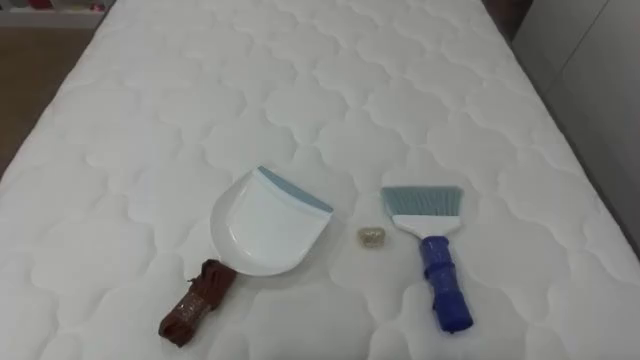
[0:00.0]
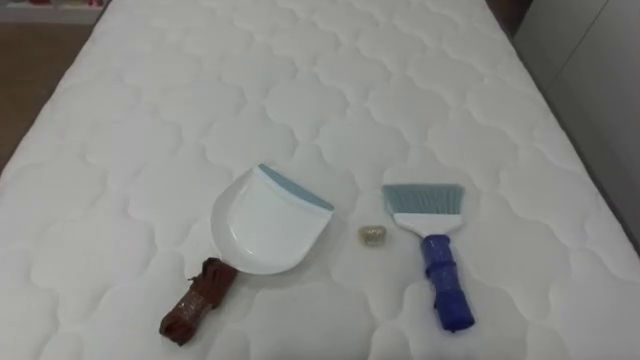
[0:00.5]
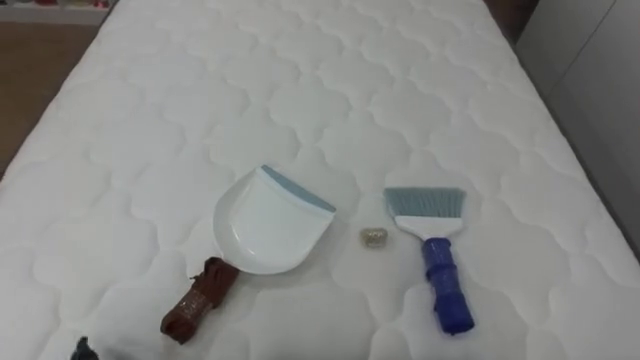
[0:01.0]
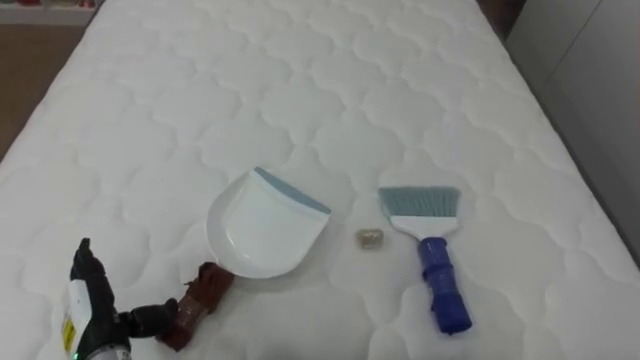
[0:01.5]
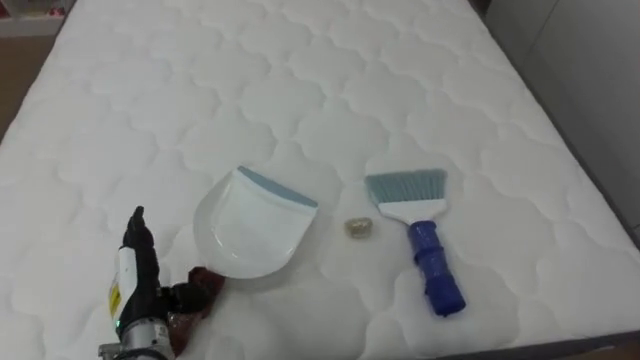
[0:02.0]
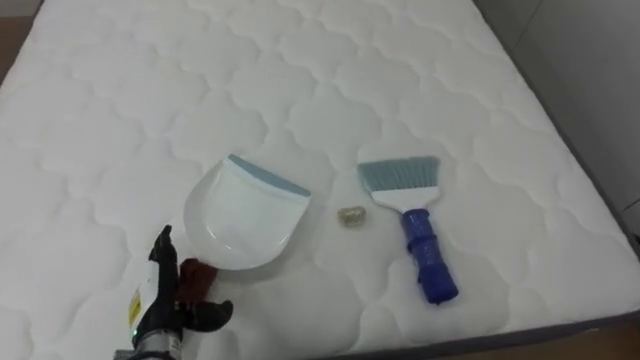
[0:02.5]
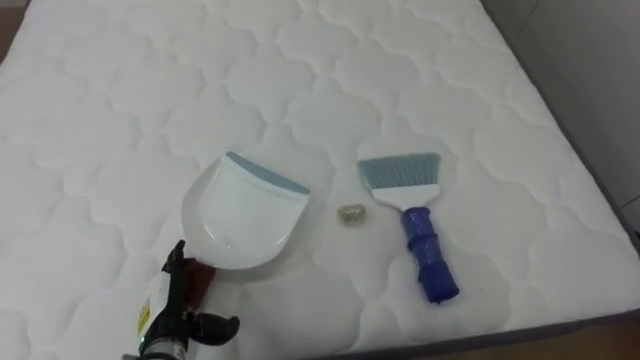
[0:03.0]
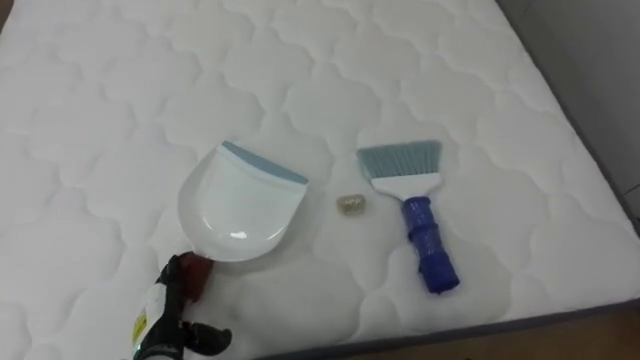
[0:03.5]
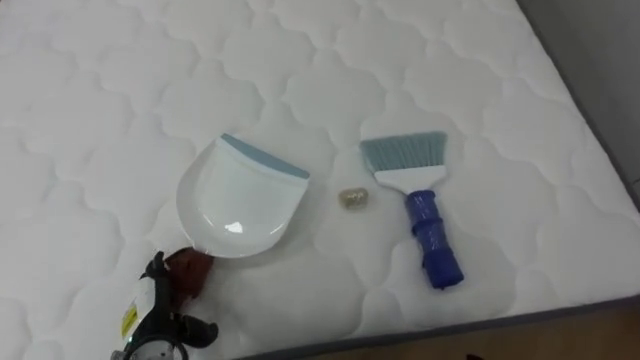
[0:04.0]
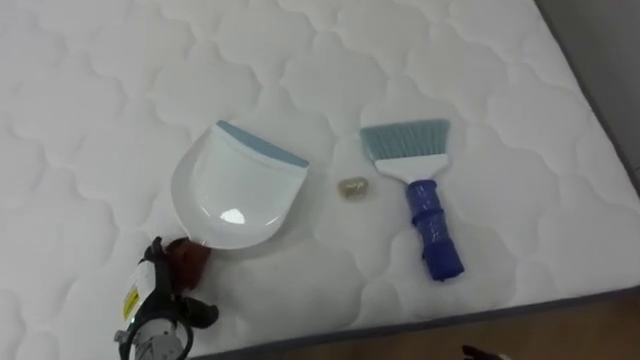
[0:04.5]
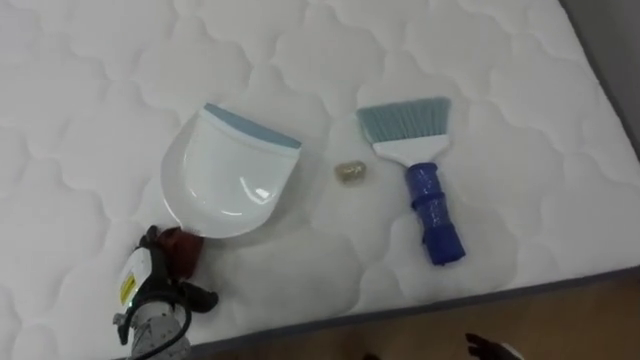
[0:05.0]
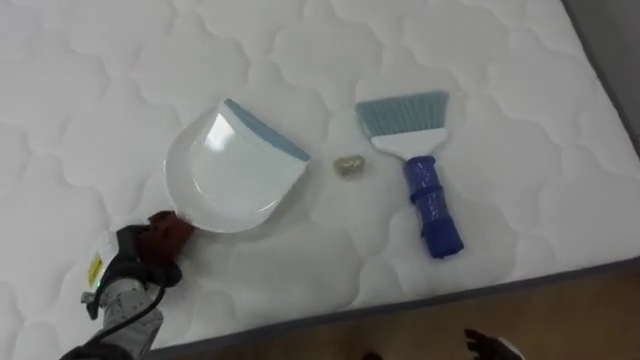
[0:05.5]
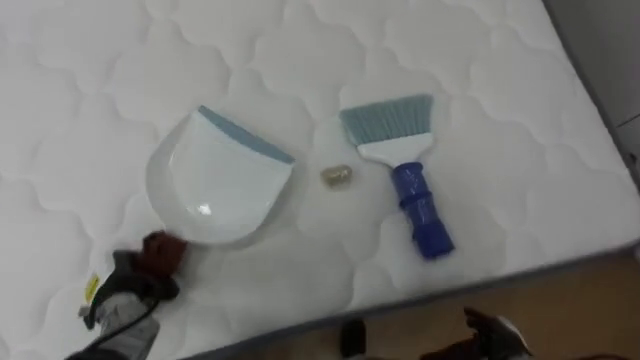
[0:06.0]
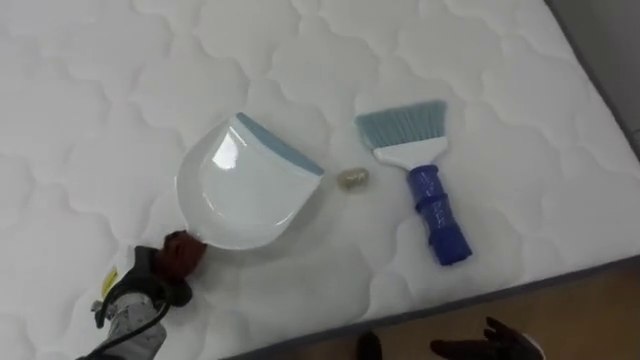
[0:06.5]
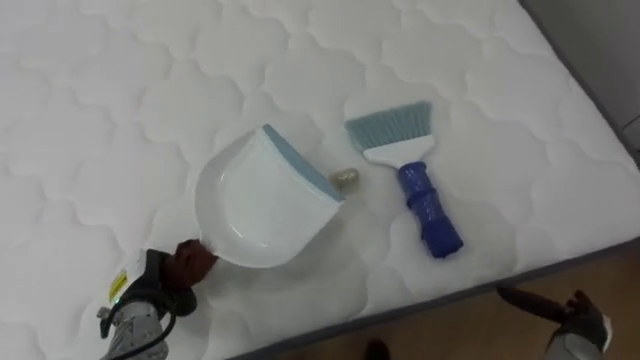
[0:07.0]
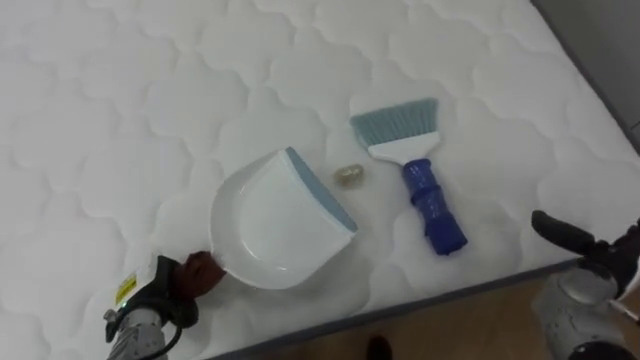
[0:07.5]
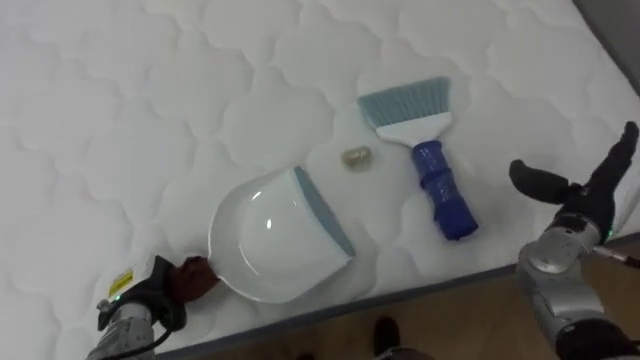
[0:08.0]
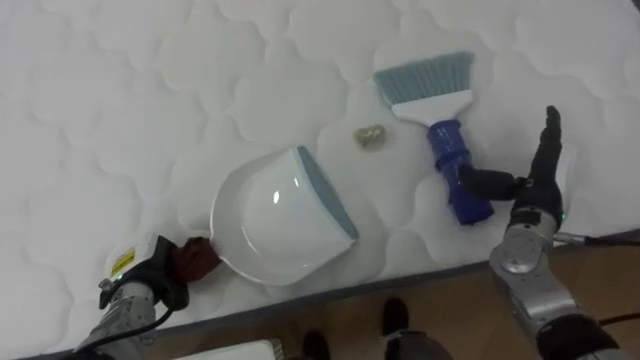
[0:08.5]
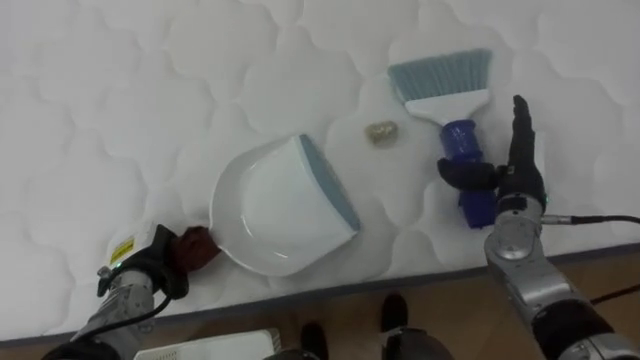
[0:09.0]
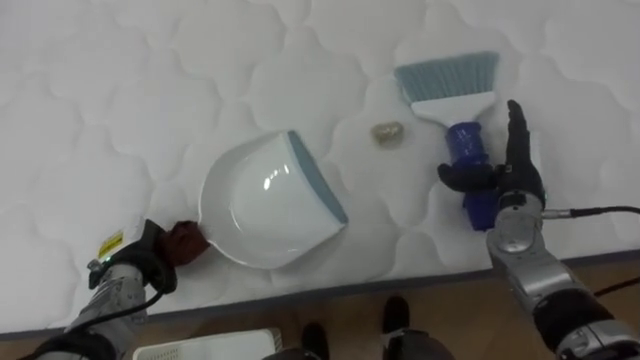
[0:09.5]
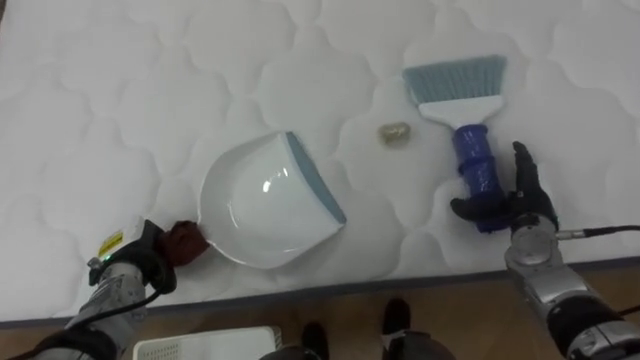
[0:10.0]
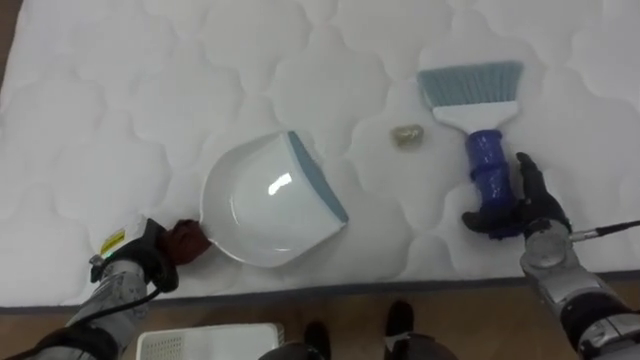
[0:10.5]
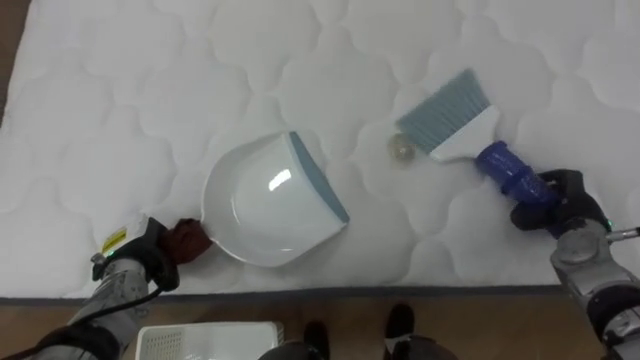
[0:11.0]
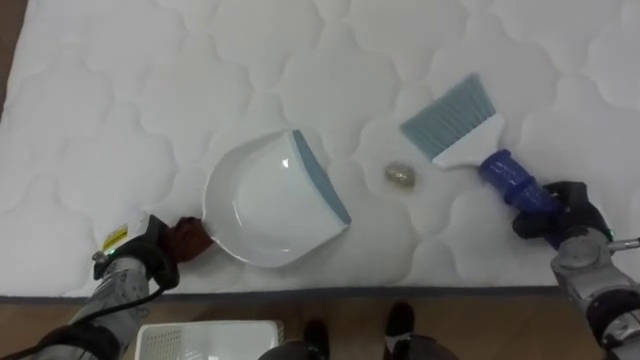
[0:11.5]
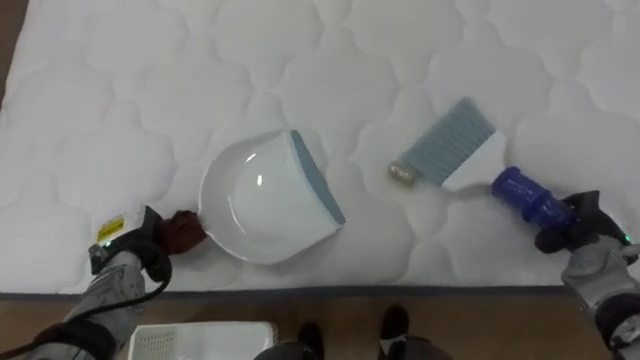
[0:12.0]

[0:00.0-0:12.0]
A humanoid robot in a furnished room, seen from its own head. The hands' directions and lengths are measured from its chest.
Task of the whole recording: Pick up the brush on your right and the dustpan on your left. Use the brush to sweep the crumpled paper on the bed into the dustpan, then turn left and empty it into the basket.
0:02.0 to 0:04.0: The left hand moves downward, about 5 cm.
0:04.0 to 0:06.0: The left hand changes place by roughly 5 cm, and closes its fingers.
0:08.0 to 0:10.0: The right hand shifts some 5 cm to the left. The left hand moves roughly 5 cm.
0:10.0 to 0:12.0: The right hand moves to the right, about 10 cm, and closes.

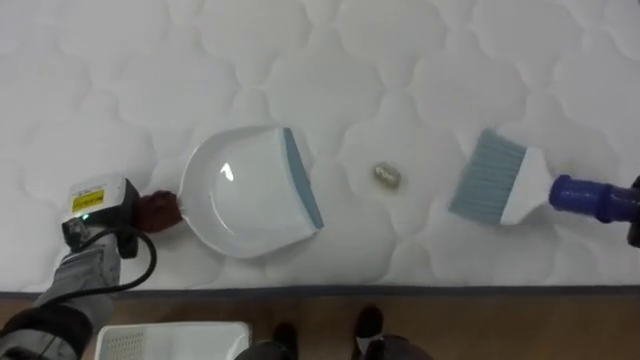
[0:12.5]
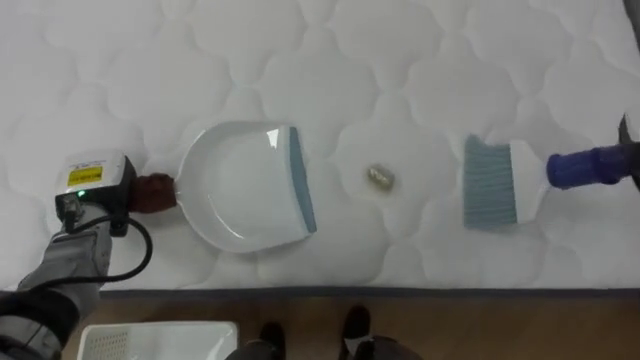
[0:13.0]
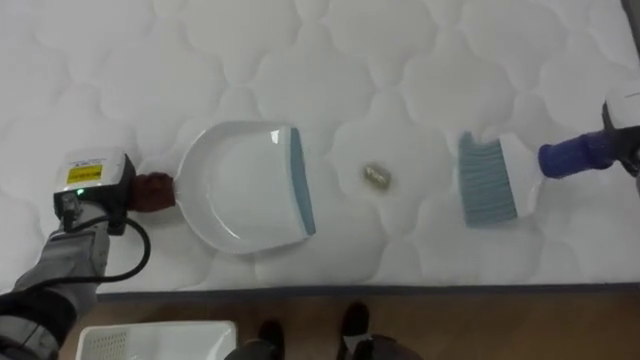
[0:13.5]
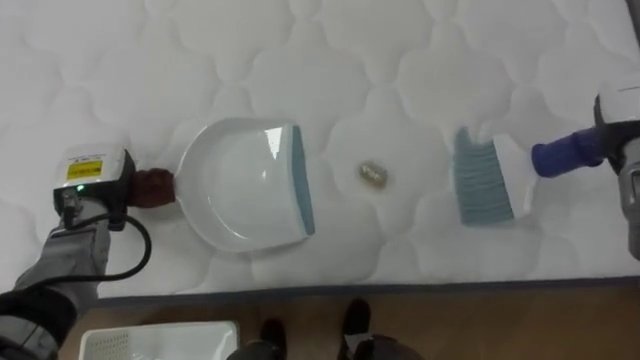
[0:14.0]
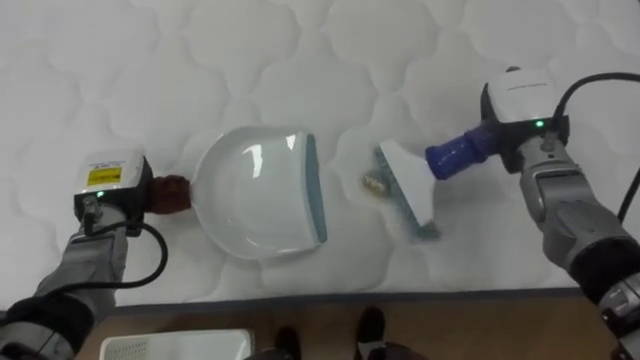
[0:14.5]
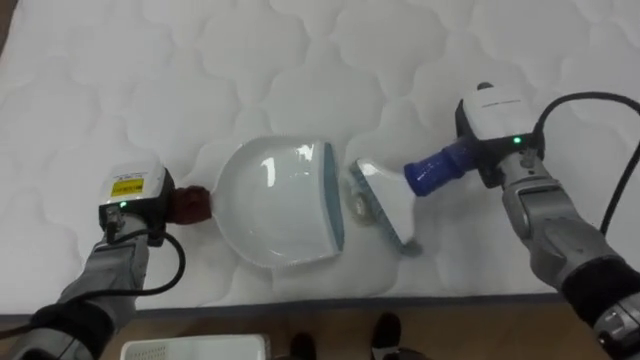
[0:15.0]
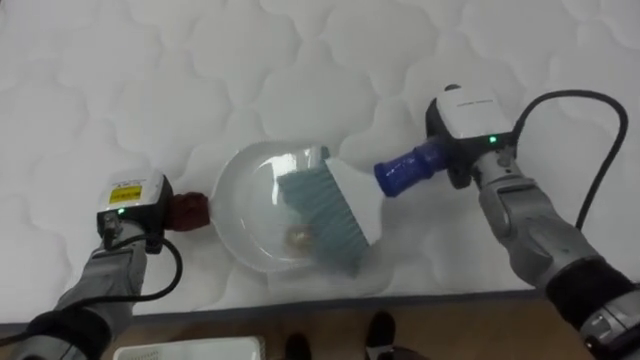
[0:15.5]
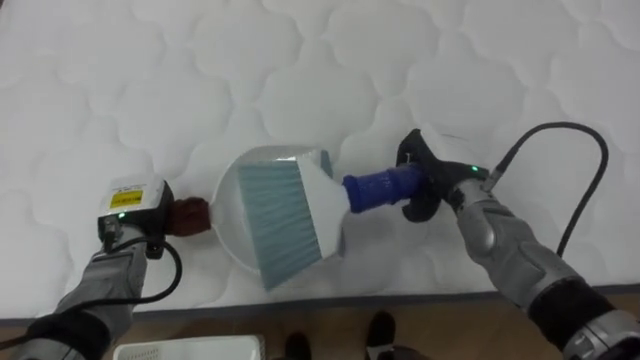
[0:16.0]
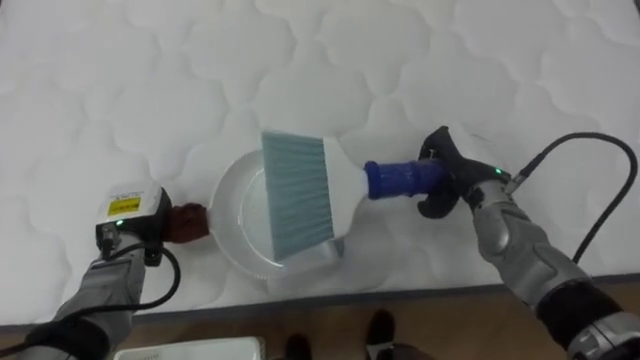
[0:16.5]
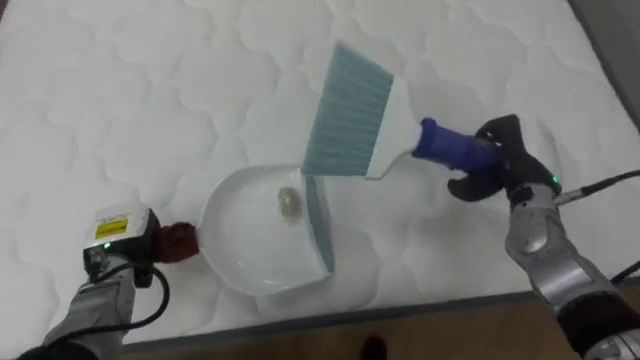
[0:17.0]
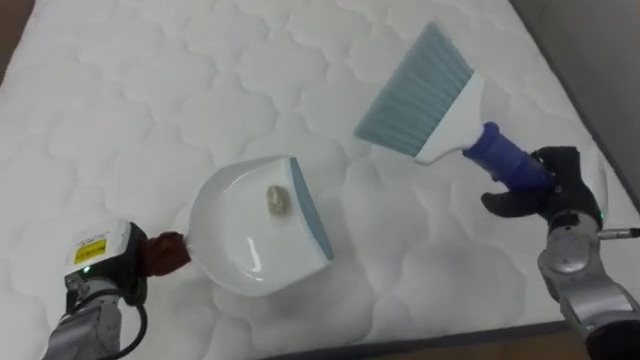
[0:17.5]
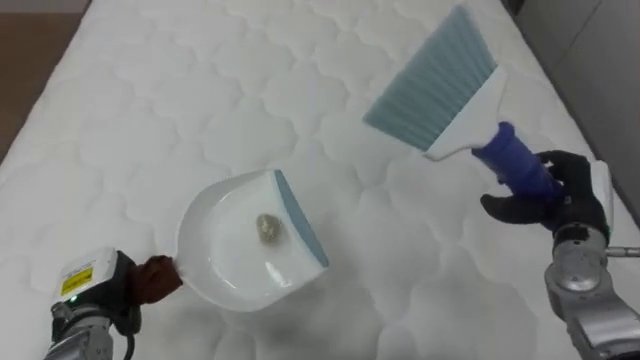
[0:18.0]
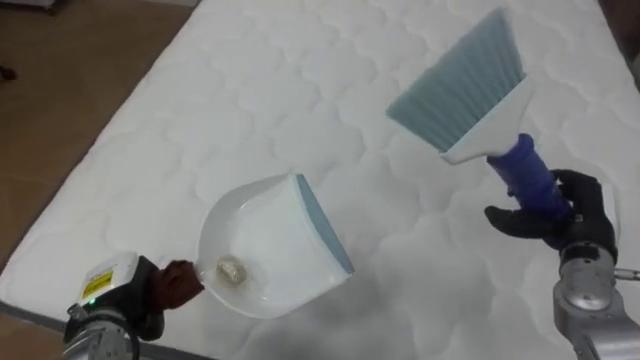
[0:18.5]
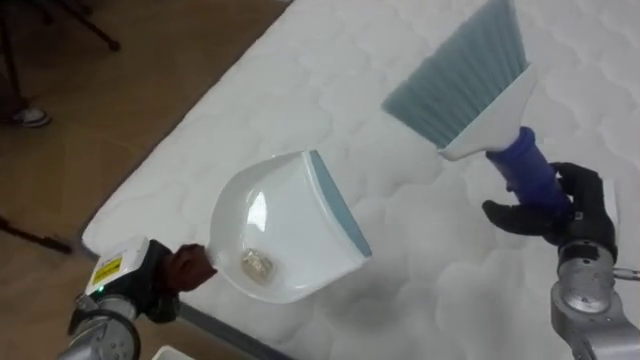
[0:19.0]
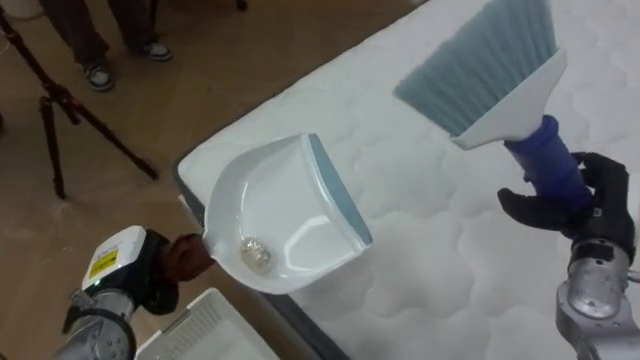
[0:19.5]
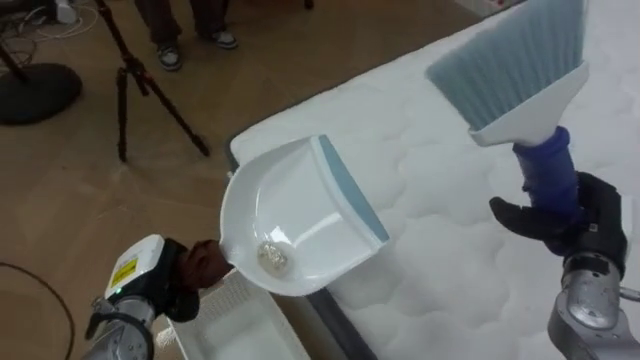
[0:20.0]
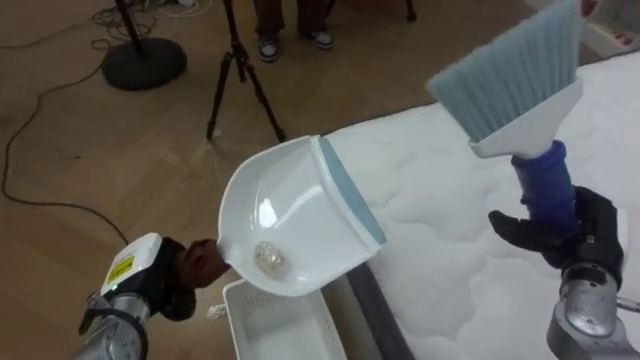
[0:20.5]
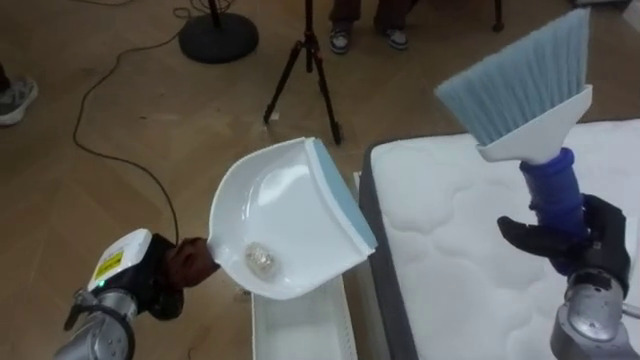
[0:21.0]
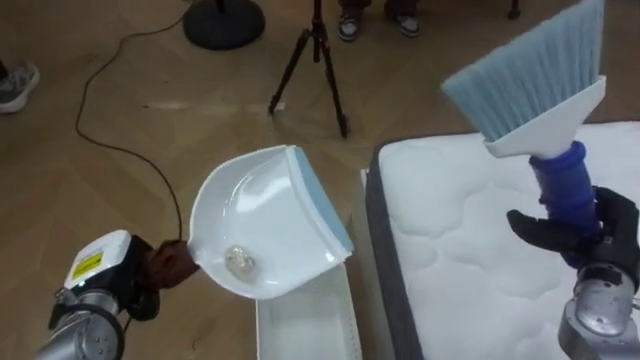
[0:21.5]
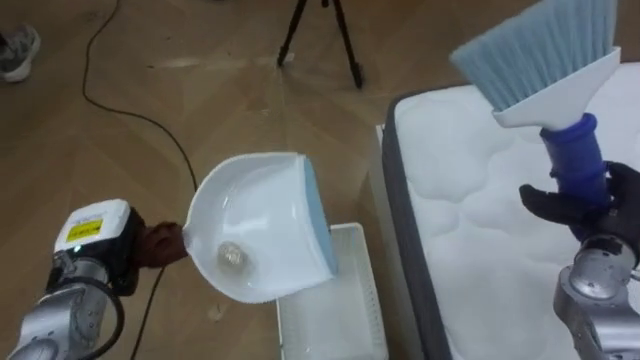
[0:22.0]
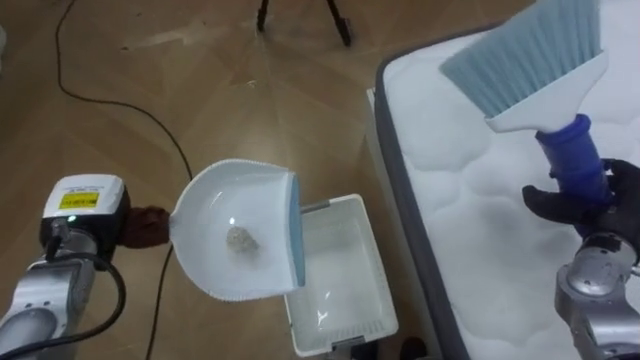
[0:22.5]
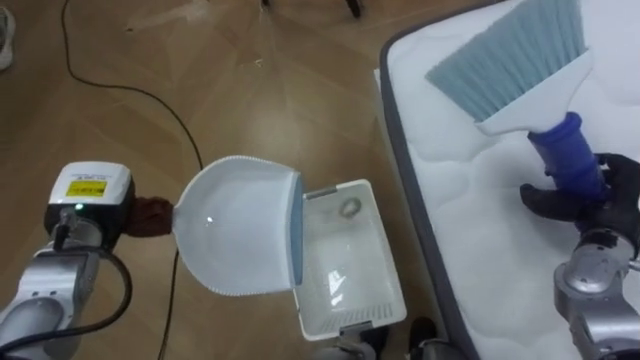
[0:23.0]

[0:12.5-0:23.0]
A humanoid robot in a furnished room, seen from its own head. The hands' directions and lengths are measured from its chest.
Task of the whole recording: Pick up the brush on your right and the dustpan on your left. Use the brush to sweep the crumpled paper on the bed into the dustpan, then turn left and empty it into the basket.
0:14.5 to 0:16.5: The right hand goes approximately 10 cm to the left and downward.
0:16.5 to 0:19.0: The robot's body swings approximately 30 degrees to its left. The left hand is displaced backward by roughly 10 cm. Meanwhile the right hand goes roughly 15 cm to the right and backward.
0:19.0 to 0:21.0: The robot faces some 55 degrees further to its left.
0:21.0 to 0:23.0: The left hand heads upward and forward, covering some 10 cm; the right hand changes place by about 5 cm.
